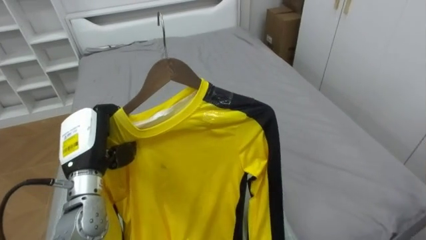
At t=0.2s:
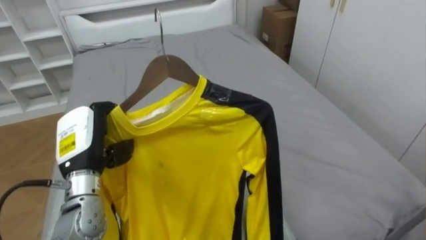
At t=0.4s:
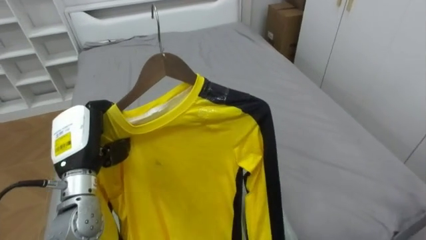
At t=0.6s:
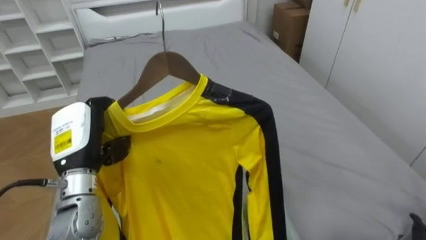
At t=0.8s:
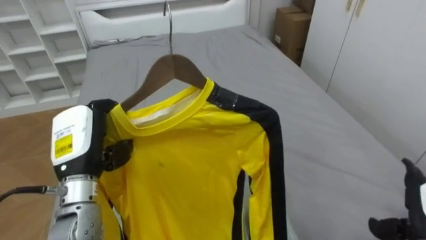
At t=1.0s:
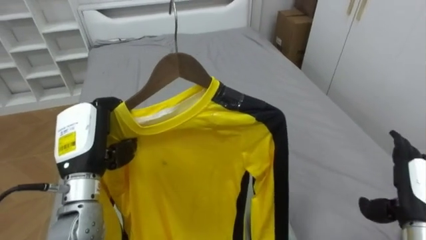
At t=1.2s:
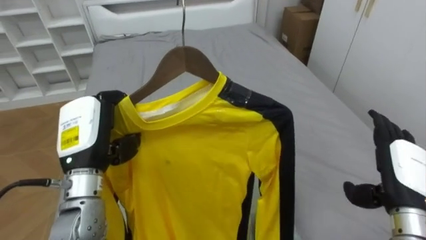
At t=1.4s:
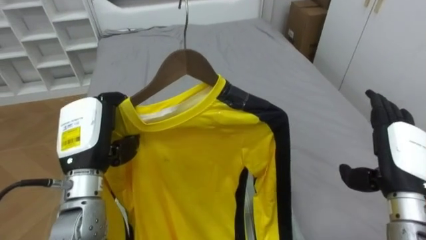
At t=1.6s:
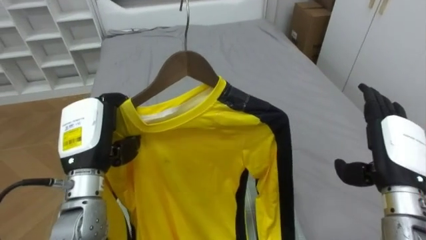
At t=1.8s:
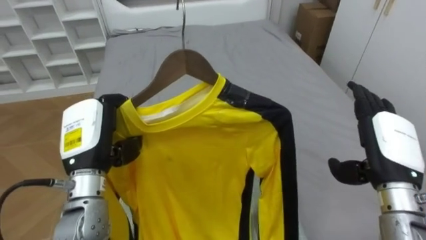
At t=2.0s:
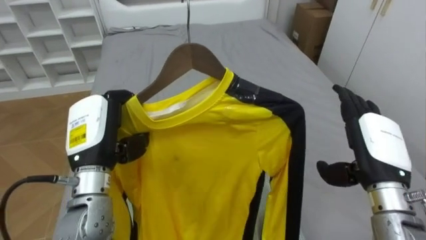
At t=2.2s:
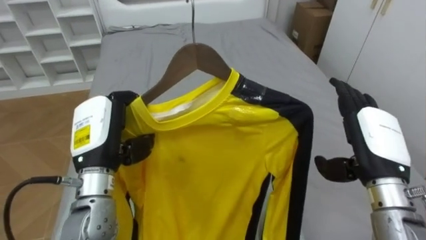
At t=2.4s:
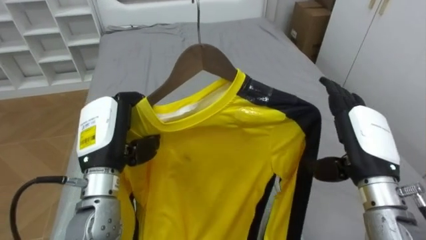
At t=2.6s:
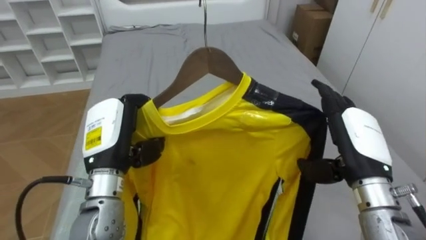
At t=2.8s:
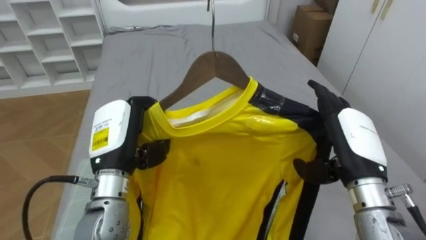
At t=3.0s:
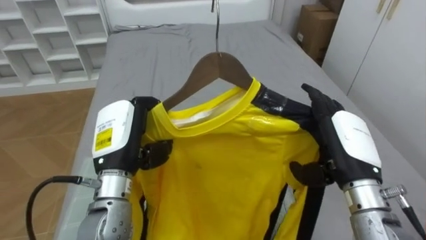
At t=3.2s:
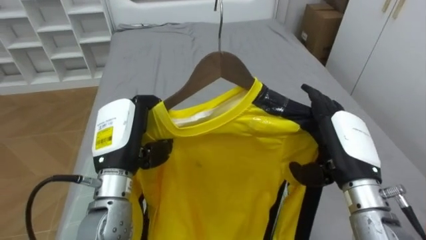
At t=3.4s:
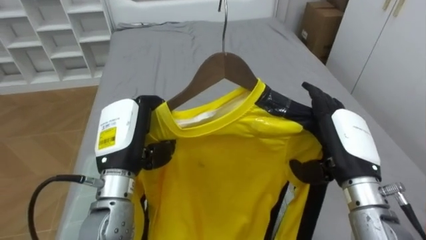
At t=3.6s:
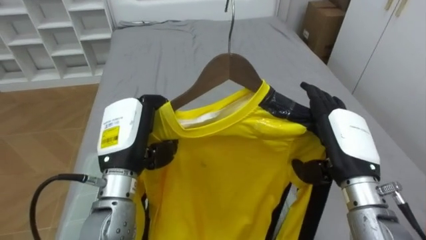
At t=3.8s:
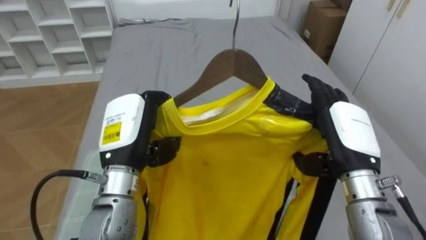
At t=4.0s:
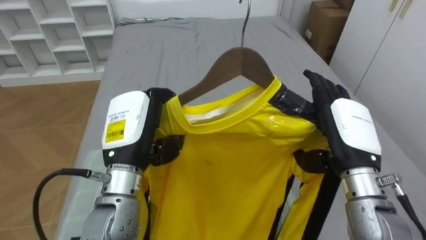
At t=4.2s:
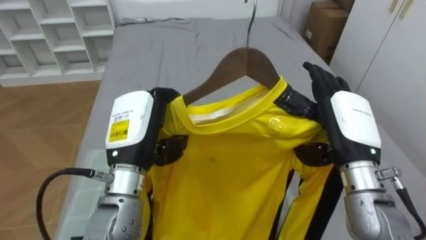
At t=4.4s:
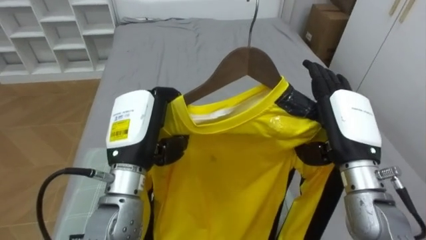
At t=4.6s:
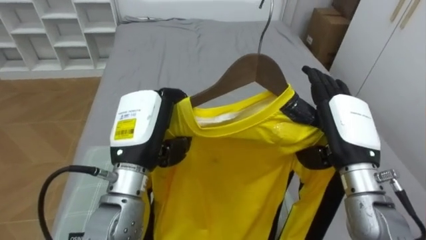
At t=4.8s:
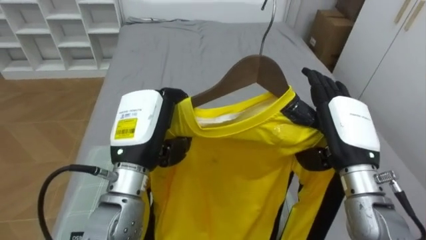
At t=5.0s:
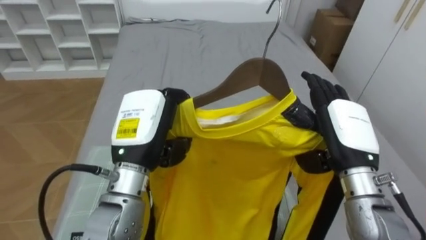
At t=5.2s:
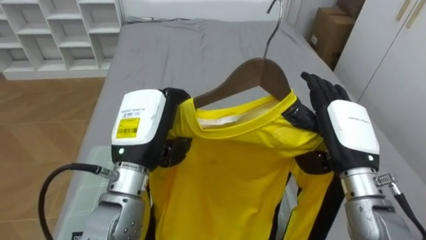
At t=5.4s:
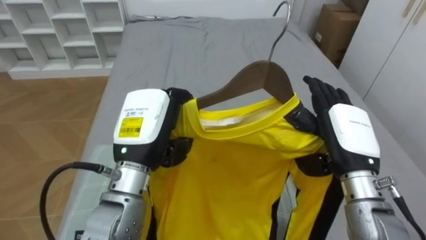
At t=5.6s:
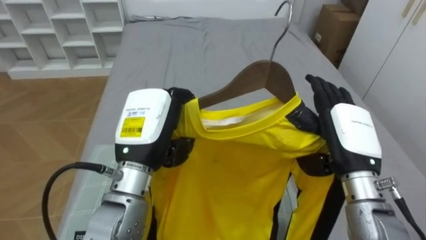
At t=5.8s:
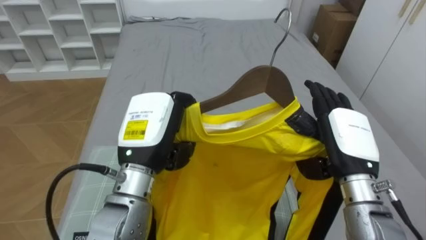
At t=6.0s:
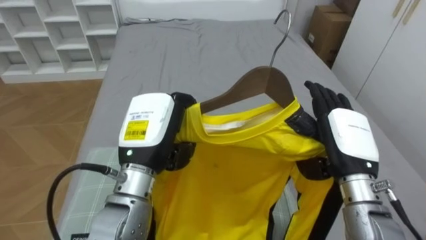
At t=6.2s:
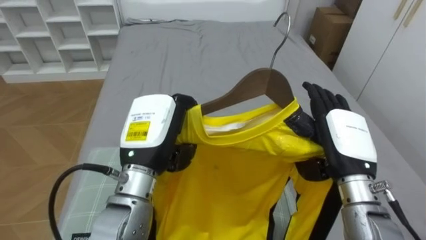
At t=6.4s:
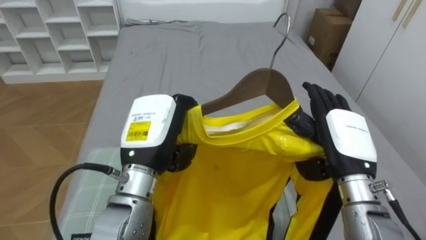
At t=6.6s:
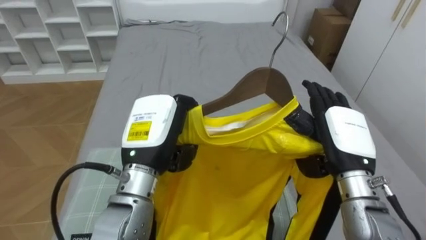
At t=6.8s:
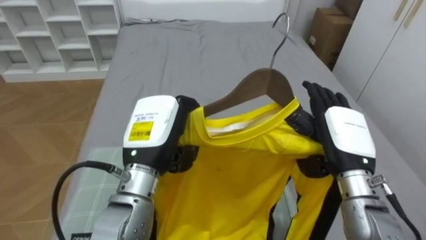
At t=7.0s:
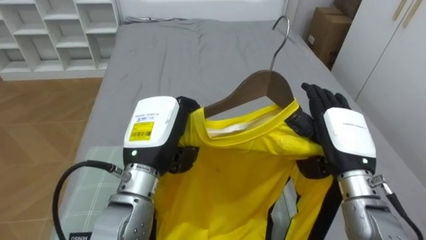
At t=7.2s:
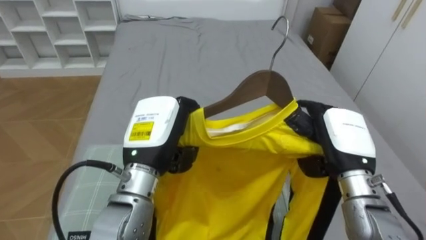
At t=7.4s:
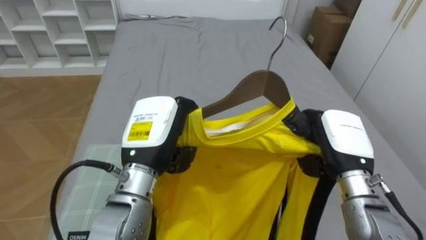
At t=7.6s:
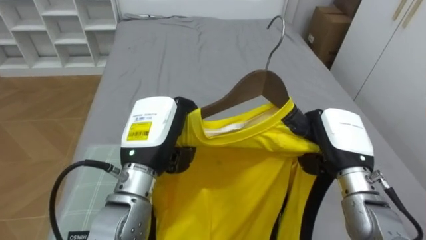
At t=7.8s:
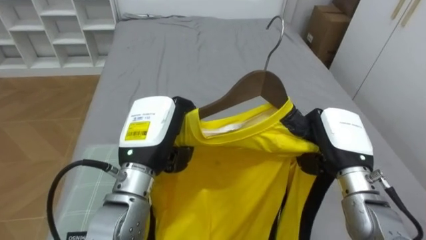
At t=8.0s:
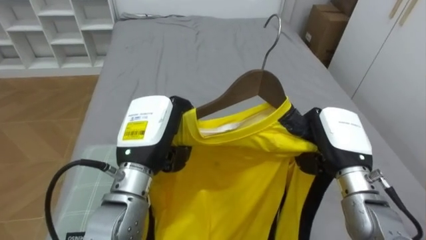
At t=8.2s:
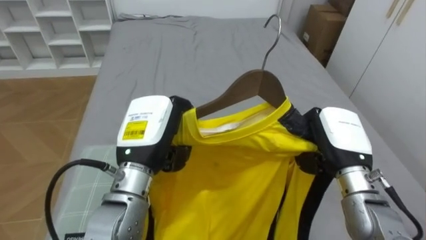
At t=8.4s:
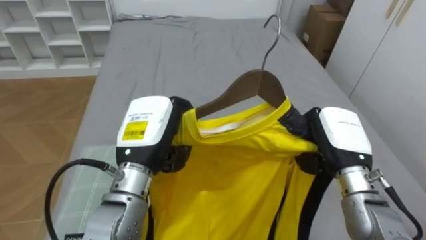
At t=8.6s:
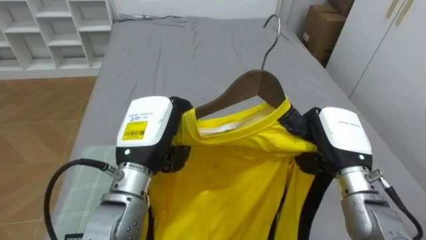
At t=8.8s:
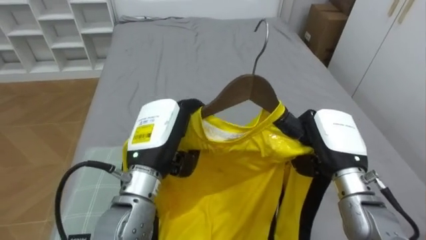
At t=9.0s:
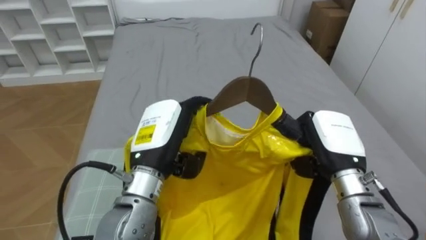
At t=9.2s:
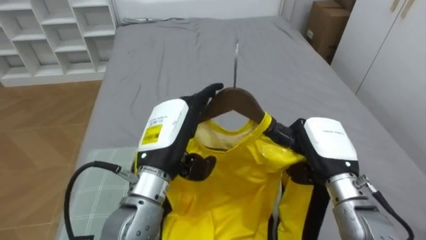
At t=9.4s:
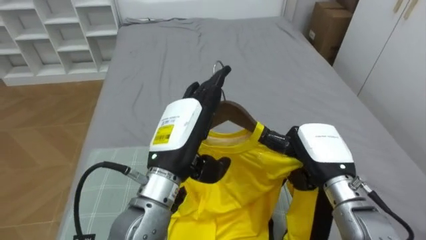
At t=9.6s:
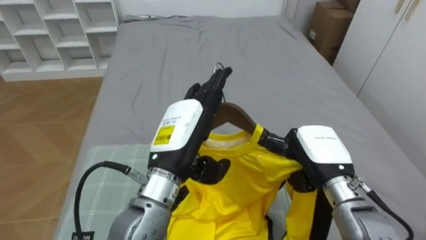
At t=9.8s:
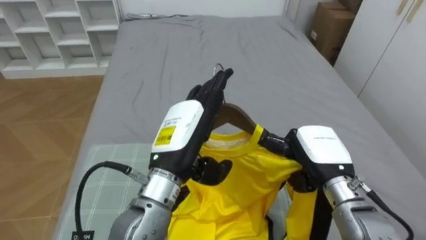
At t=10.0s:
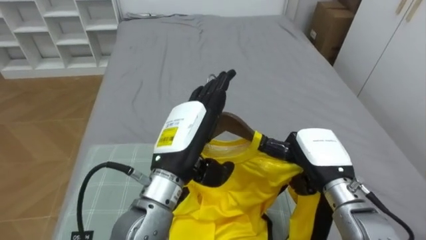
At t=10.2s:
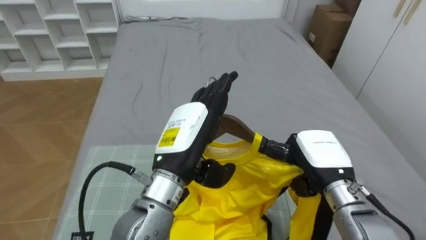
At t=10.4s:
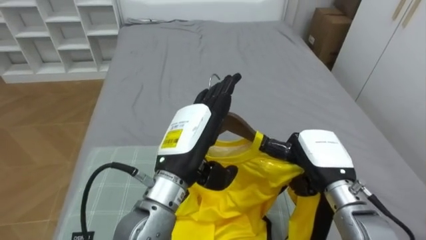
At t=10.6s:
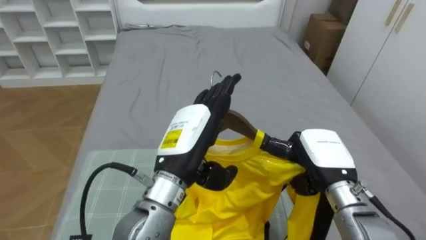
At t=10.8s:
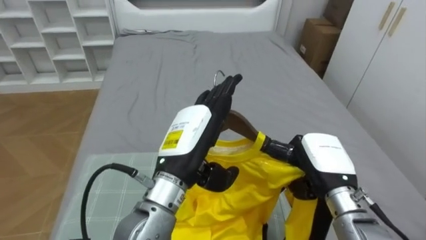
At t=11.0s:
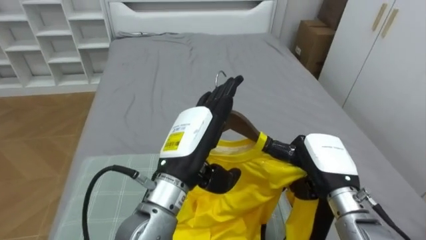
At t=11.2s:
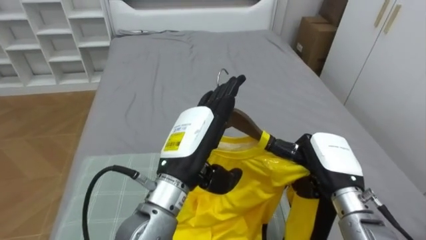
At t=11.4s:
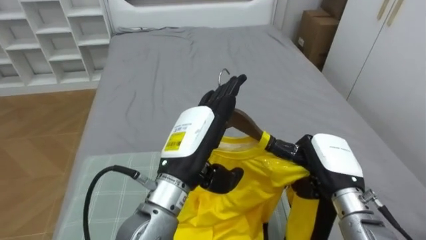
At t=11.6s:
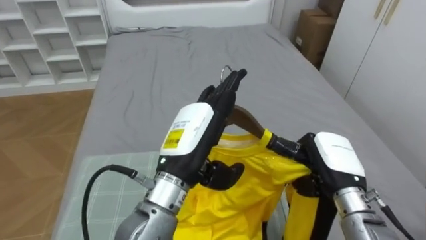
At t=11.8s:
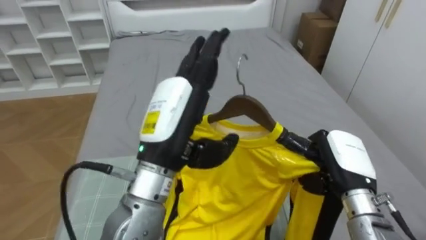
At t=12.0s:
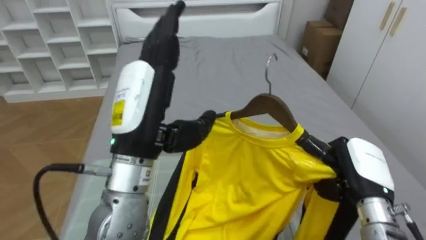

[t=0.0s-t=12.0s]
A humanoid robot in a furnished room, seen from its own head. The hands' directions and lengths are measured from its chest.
Task of the whole recording: Pick up the yellow shirt on the bed and hang it on the clothes rack on the right.
t=1.6s to t=3.0s: The right hand travels to the left by about 5 cm.
t=6.0s to t=7.6s: The right hand closes up.
t=7.6s to t=9.0s: The left hand opens up.
t=9.0s to t=10.4s: The left hand opens up.
t=10.4s to t=12.0s: The right hand travels to the right by approximately 5 cm. Meanwhile the left hand goes about 10 cm upward and to the left.

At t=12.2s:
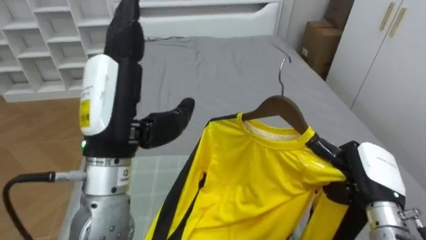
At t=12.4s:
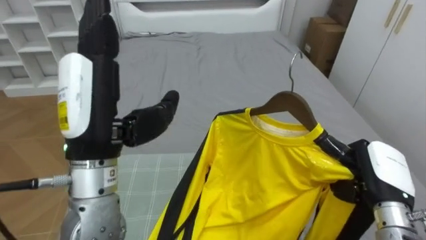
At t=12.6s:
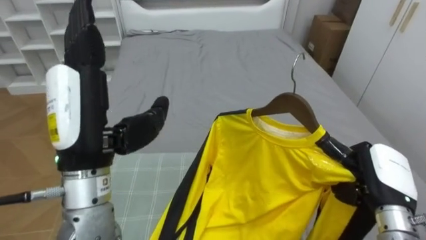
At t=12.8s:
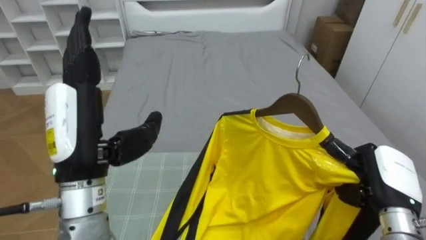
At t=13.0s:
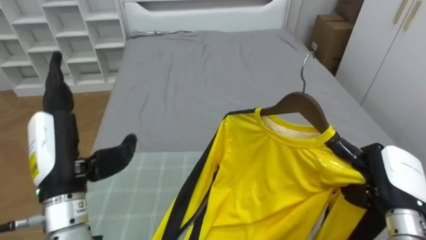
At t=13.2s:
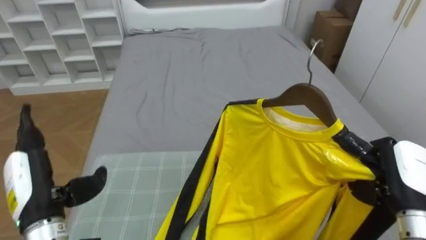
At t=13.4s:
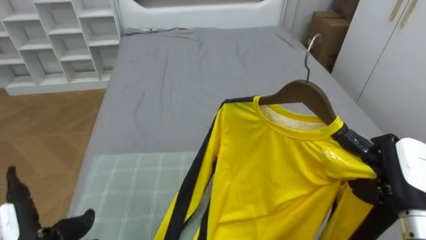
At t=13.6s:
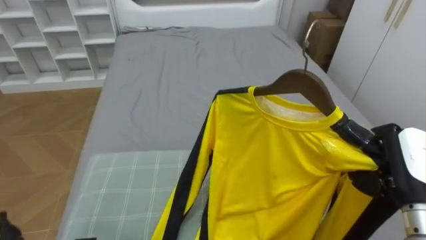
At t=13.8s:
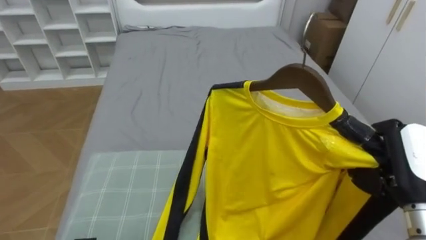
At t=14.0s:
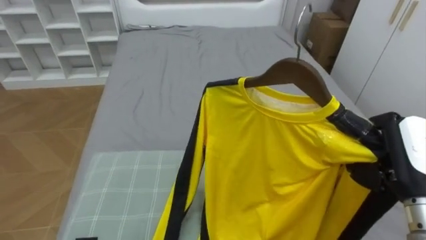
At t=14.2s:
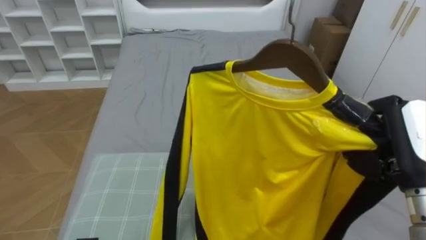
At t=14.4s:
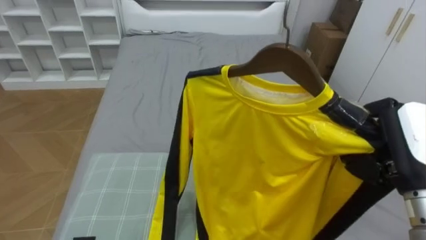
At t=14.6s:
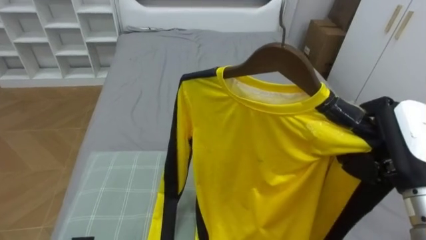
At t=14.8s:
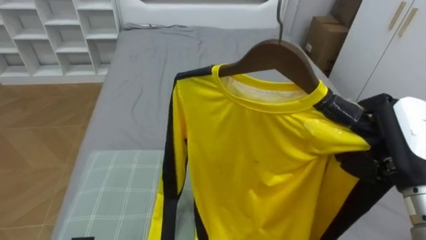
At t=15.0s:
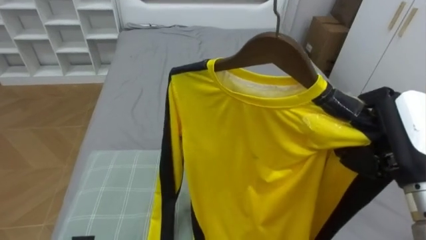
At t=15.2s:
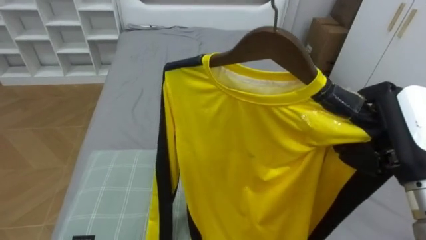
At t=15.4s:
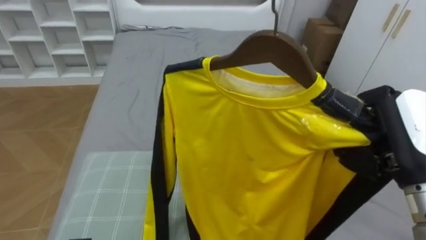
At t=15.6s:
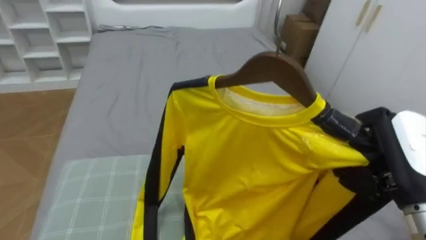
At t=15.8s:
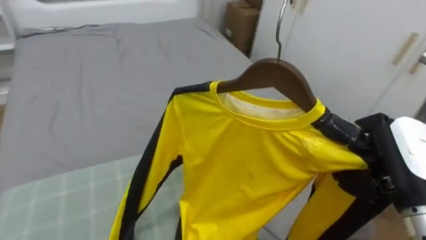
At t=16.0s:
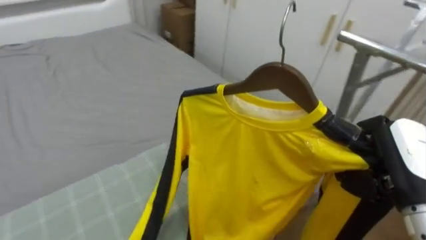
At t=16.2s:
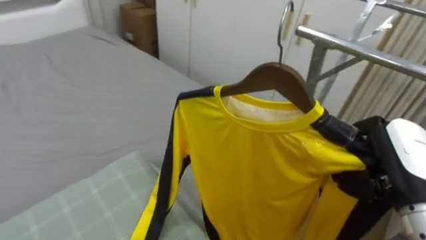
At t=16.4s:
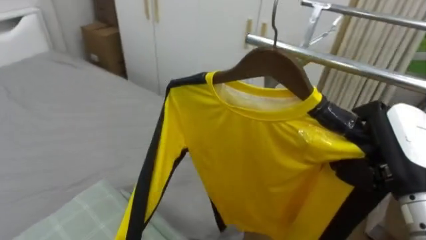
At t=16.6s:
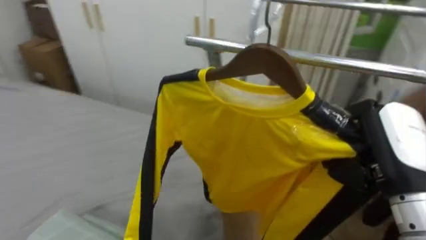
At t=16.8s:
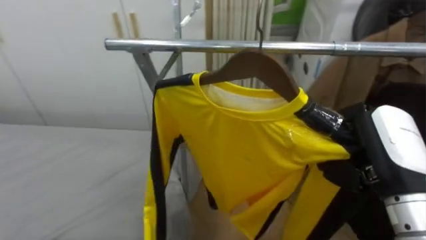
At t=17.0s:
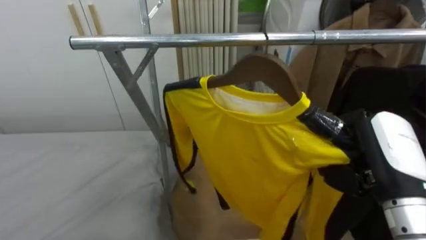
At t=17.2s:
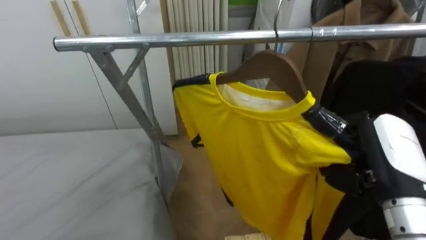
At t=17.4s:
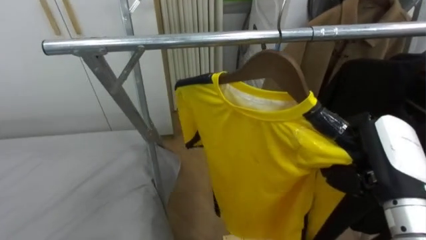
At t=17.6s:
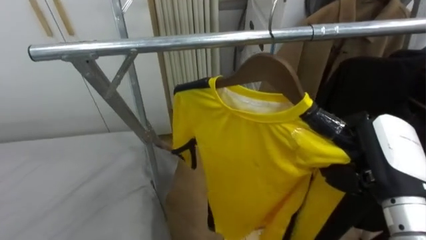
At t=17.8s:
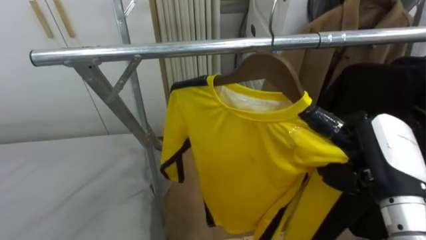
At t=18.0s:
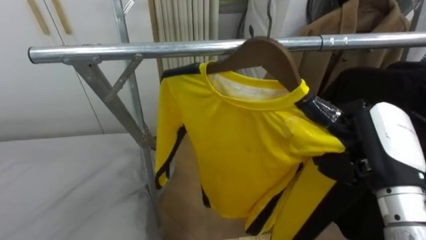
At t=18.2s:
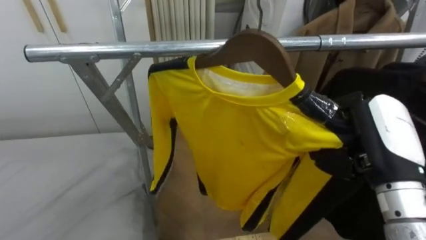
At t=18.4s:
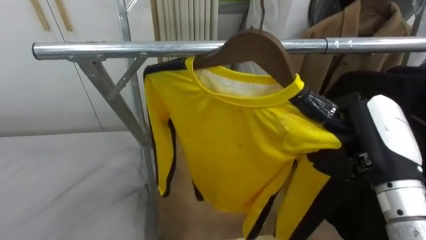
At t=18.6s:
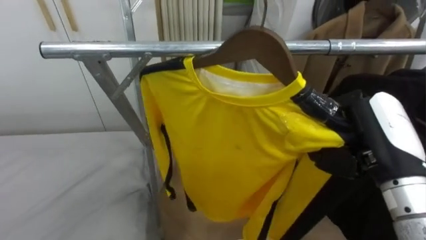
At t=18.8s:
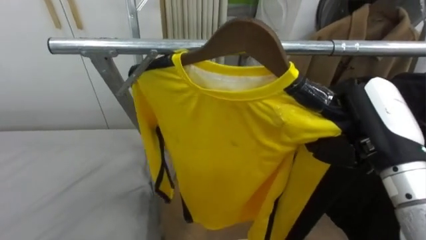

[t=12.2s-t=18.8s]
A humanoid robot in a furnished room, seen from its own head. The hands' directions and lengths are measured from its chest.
Task of the whole recording: Pick up the yellow shirt on the bed and hang it on the clothes rack on the right.
t=12.2s to t=13.8s: The right hand travels upward by roughly 10 cm.
t=13.8s to t=15.4s: The right hand is displaced upward by approximately 5 cm.
t=15.4s to t=17.2s: The robot's body swings roughly 80 degrees to its right.
t=17.2s to t=18.8s: The right hand heads upward, covering approximately 5 cm.
